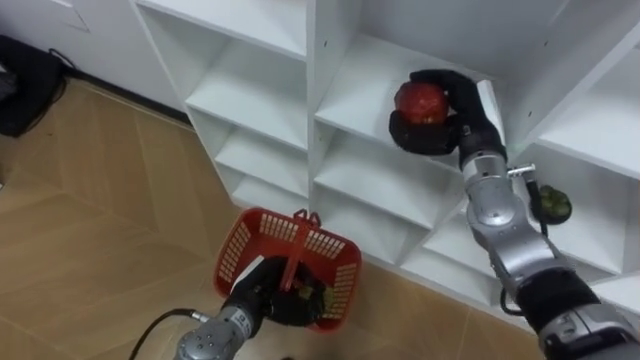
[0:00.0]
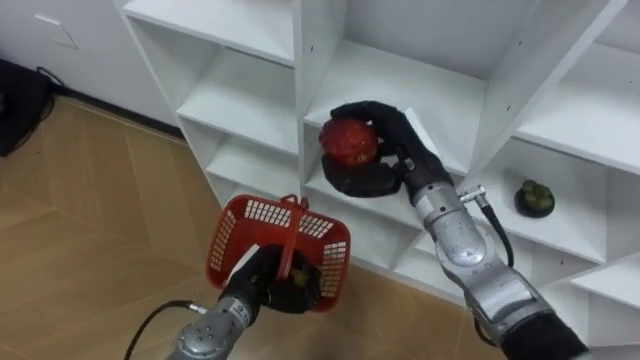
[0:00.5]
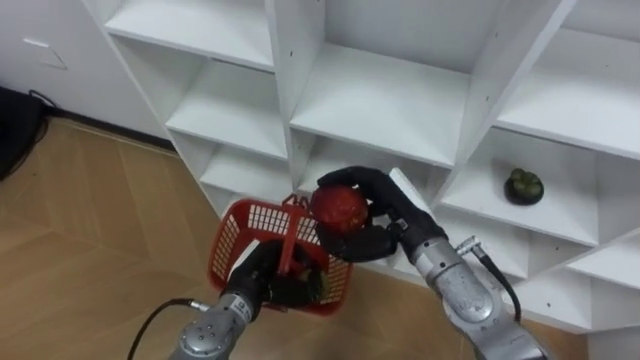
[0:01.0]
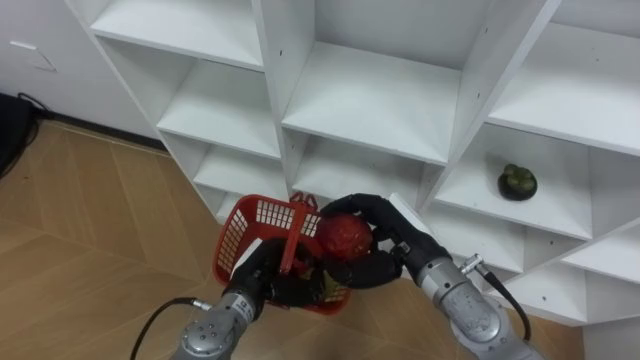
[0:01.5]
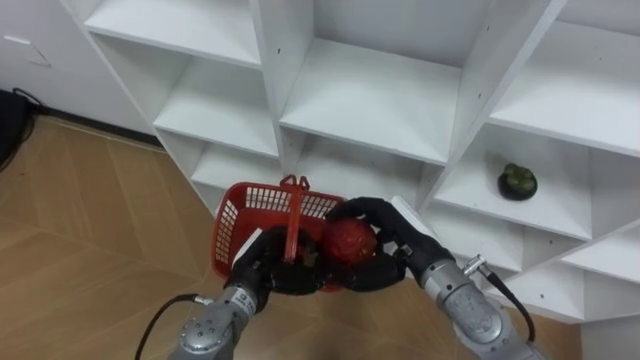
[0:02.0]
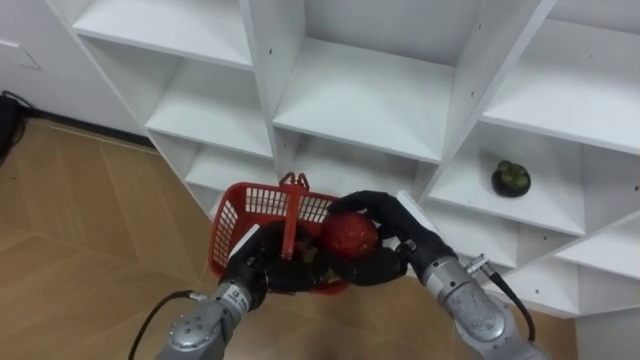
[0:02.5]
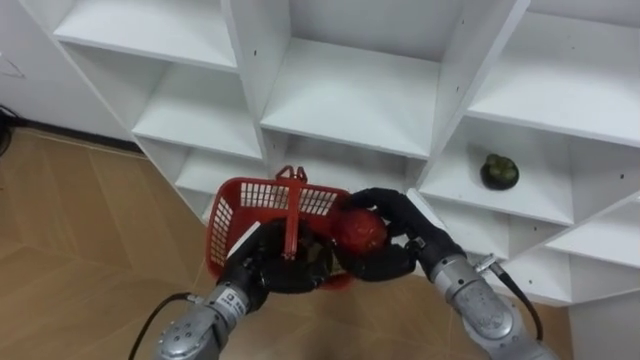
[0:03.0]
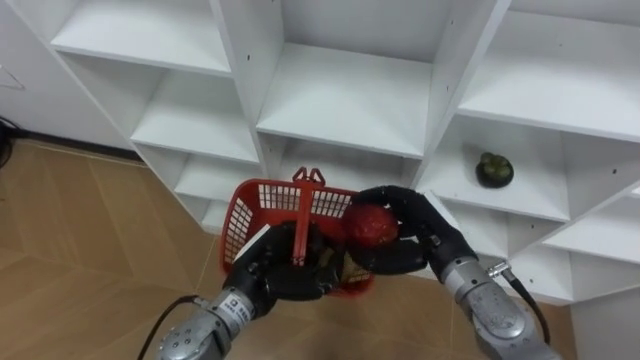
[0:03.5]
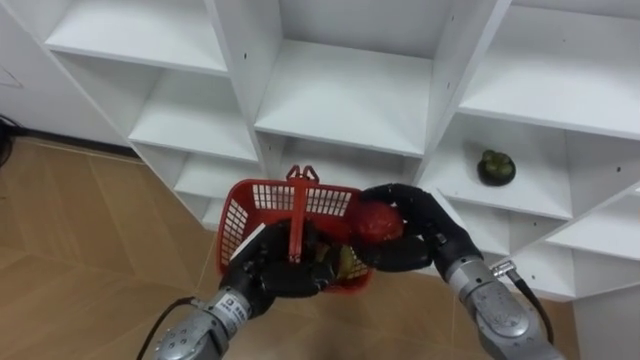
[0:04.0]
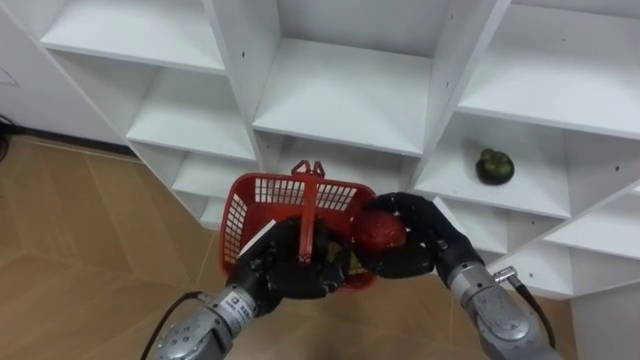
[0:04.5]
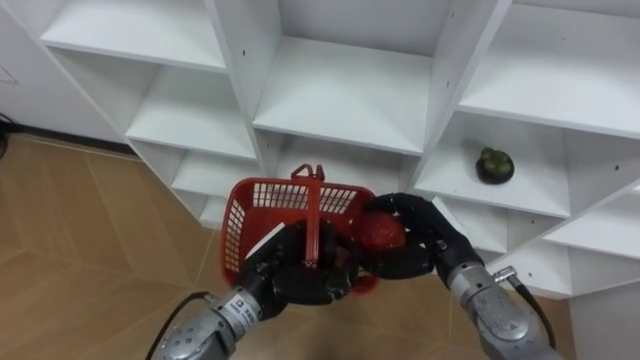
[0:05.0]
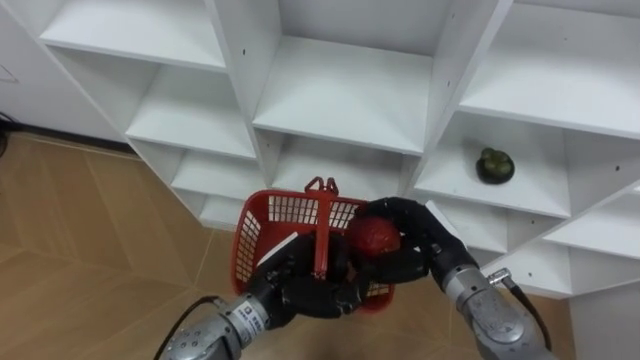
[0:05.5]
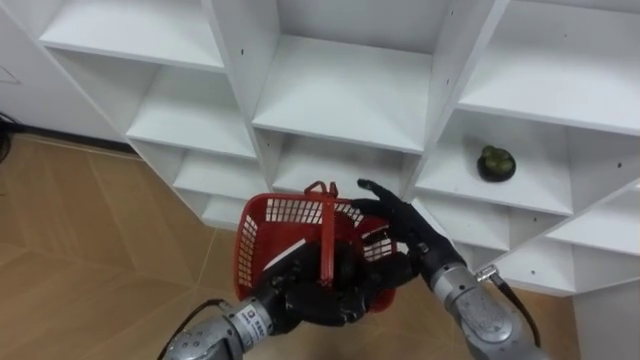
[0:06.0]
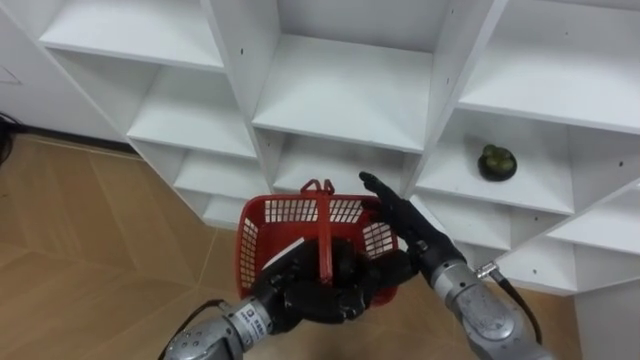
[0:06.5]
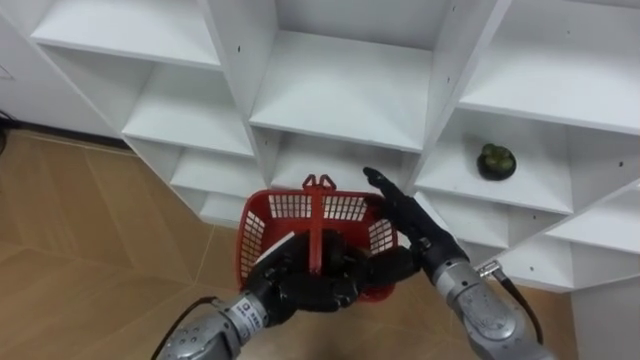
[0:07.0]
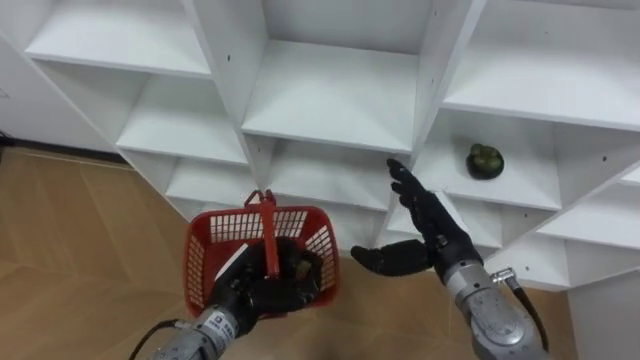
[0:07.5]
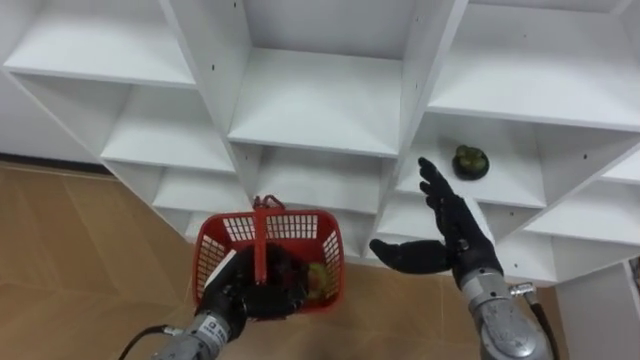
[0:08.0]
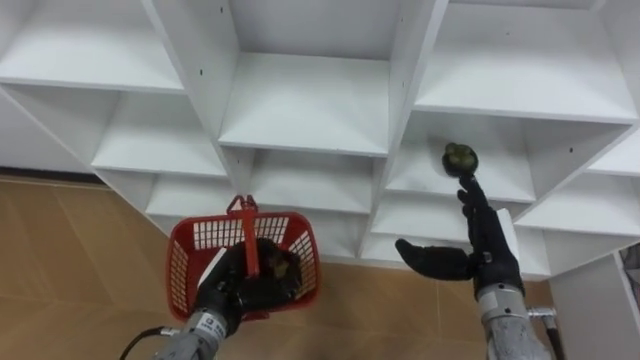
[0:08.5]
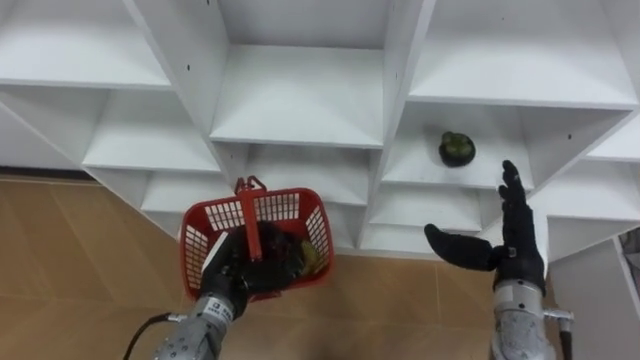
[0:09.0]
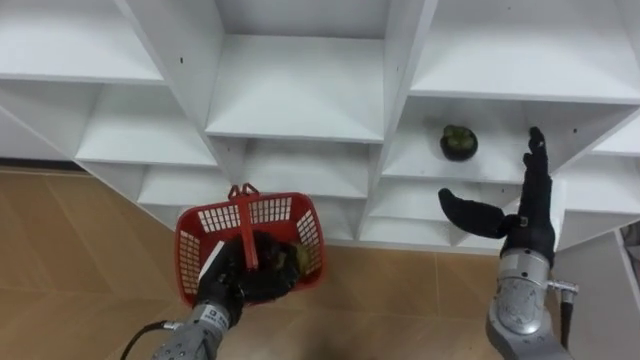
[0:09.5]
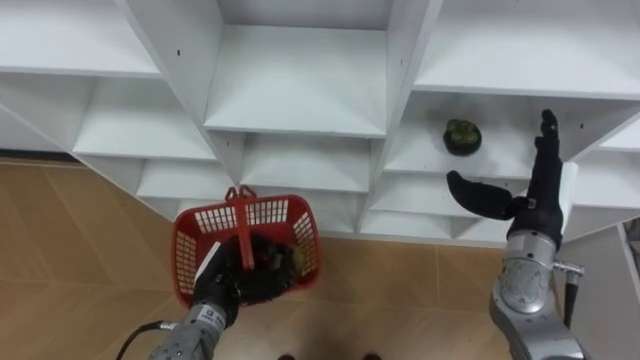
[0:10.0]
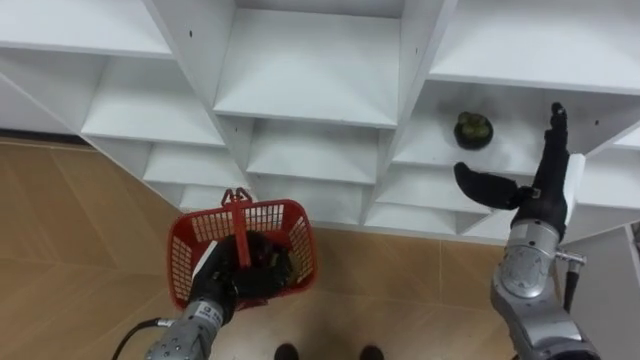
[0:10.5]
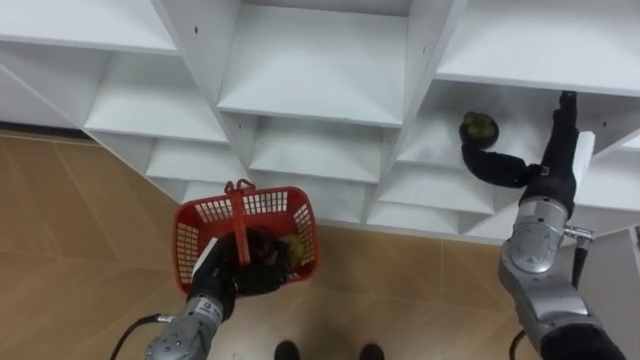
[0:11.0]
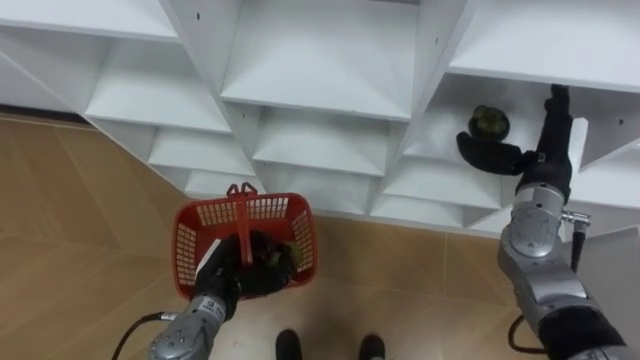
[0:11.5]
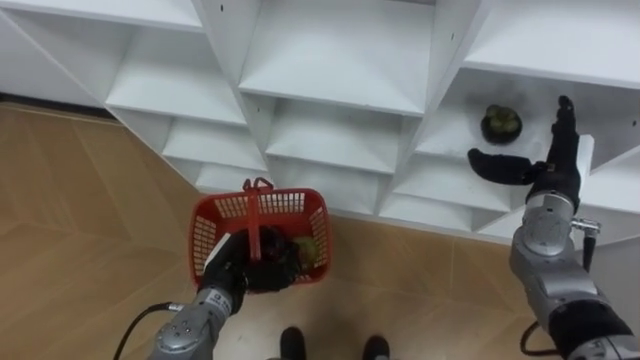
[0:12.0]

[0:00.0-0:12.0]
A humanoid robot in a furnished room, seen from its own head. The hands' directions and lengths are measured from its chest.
Task of the whole recording: Hold the basket and collect the fruits from 3 different cells of the closet into it.
0:00.0 to 0:02.0: The right hand is displaced backward, downward and to the left by some 15 cm.
0:04.0 to 0:06.0: The left hand ends up roughly 5 cm from where it was; the right hand opens up.
0:06.0 to 0:08.0: The left hand goes approximately 10 cm to the left.
0:08.0 to 0:10.0: The right hand heads to the right, covering about 10 cm.
0:10.0 to 0:12.0: The right hand shifts by roughly 5 cm.

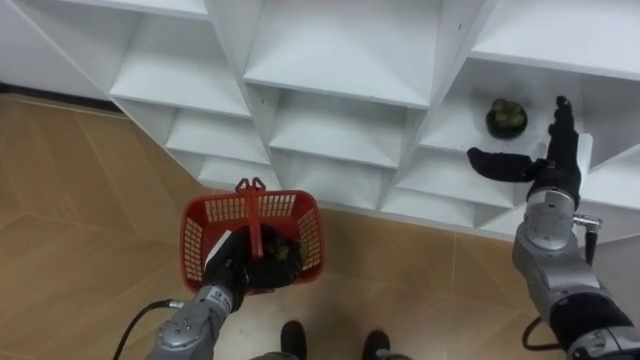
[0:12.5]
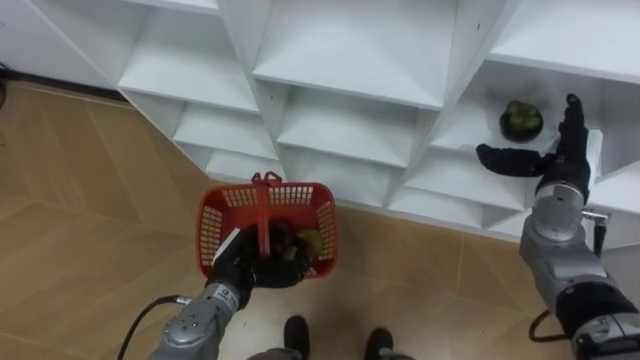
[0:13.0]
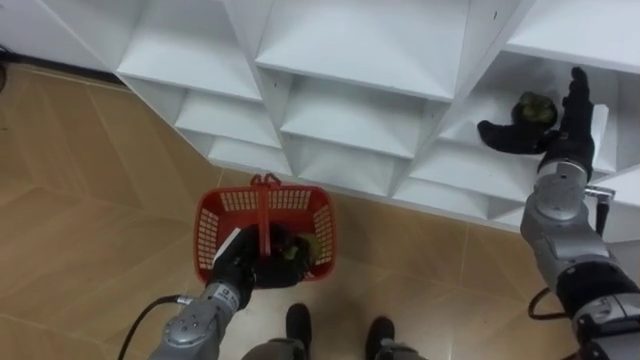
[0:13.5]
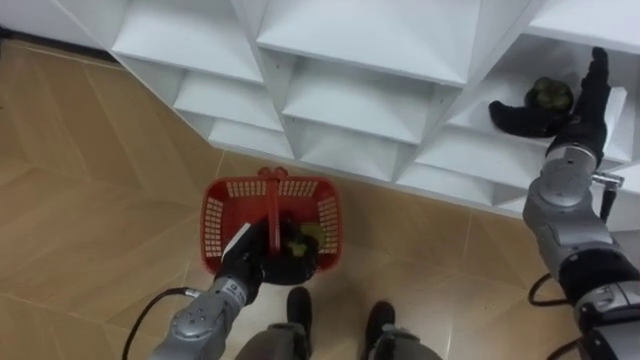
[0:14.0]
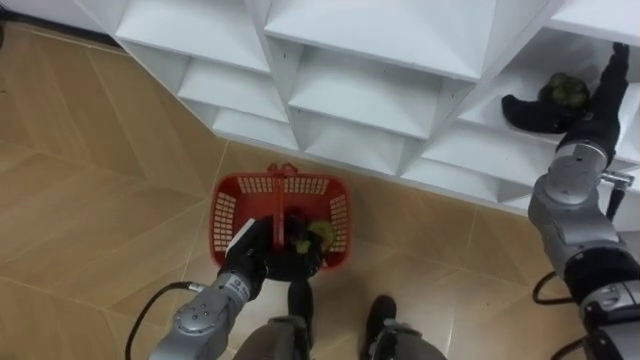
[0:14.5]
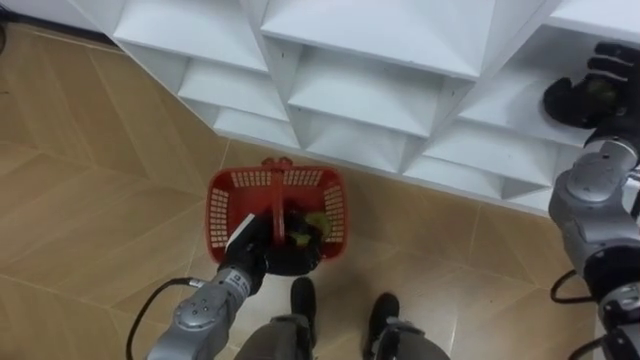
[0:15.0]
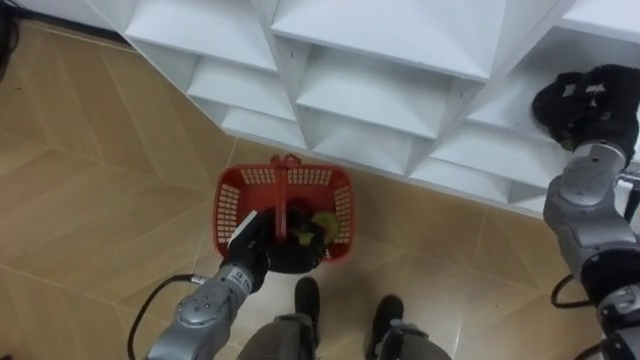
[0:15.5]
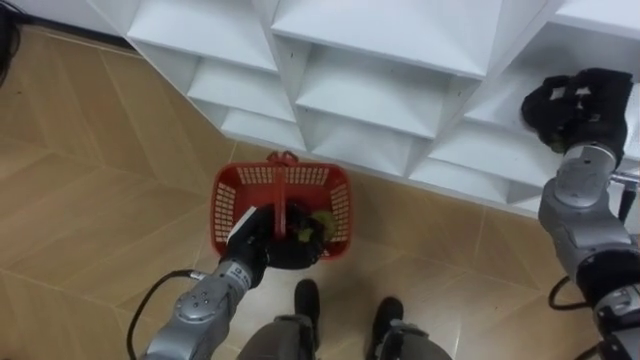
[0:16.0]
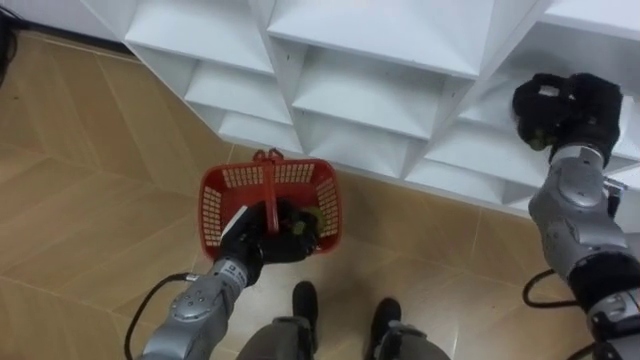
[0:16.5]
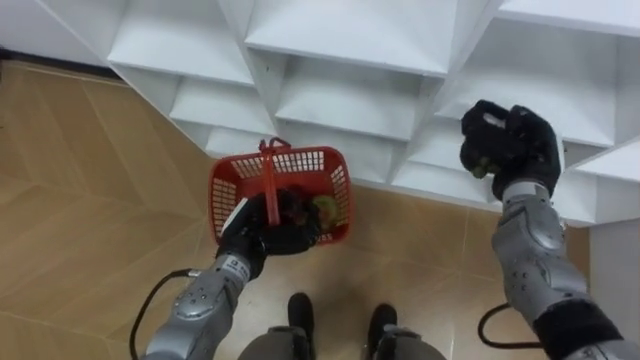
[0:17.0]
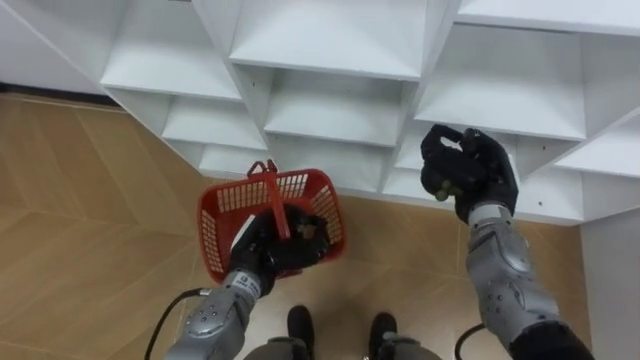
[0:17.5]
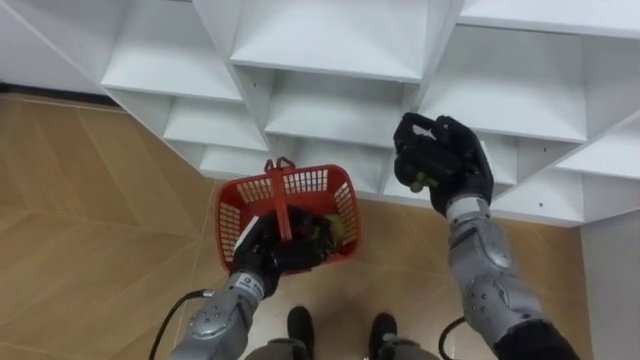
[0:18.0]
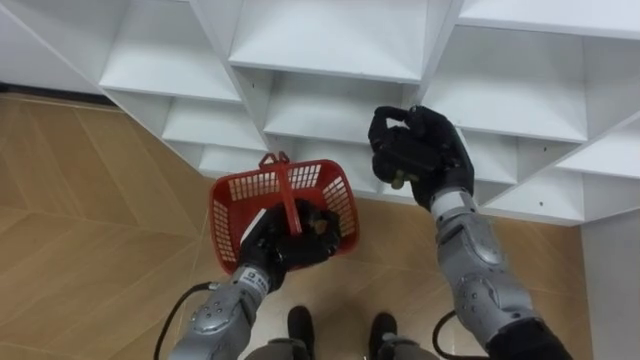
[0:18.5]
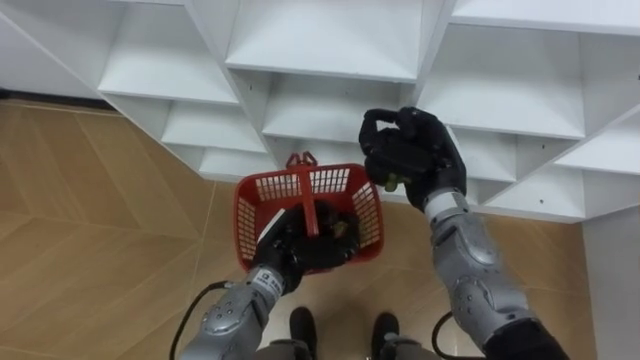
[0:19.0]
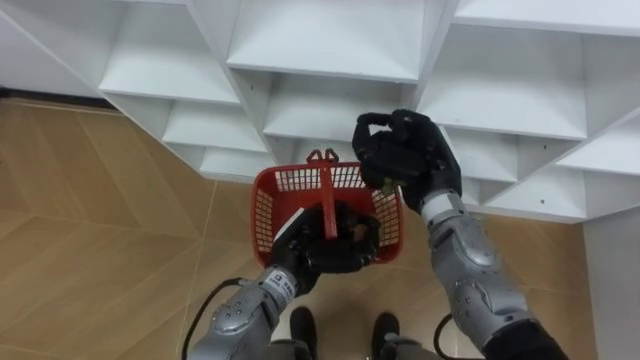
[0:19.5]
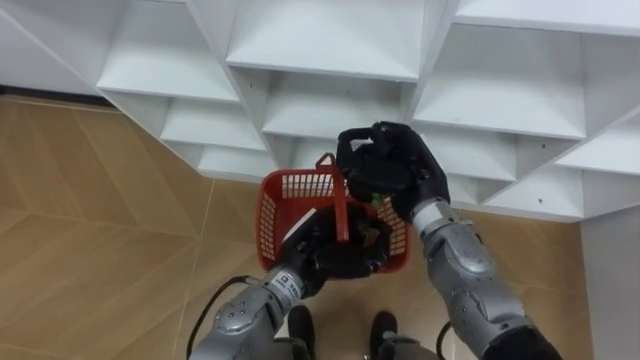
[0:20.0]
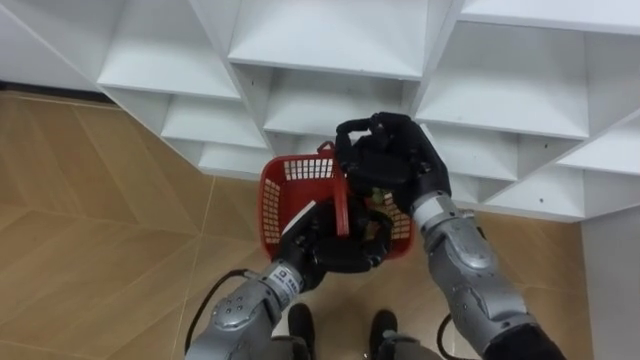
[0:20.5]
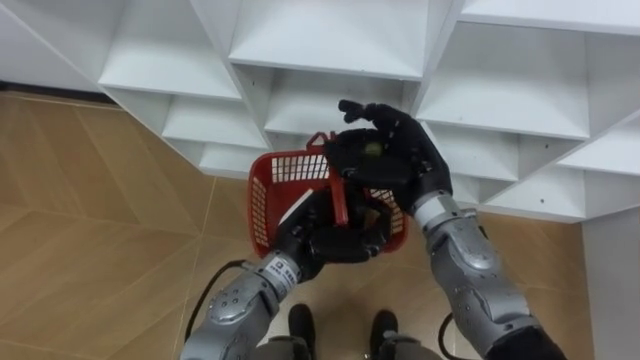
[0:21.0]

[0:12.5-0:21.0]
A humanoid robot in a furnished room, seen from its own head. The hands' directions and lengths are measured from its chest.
Task of the whole recording: Hold the basket and collect the fruits from 3 different cells of the closet into it.
0:12.5 to 0:14.5: The right hand shifts about 5 cm upward.
0:14.5 to 0:16.5: The right hand closes up.
0:16.5 to 0:19.0: The right hand goes roughly 20 cm to the left, while the left hand heads to the right, covering approximately 5 cm.
0:19.0 to 0:21.0: The left hand changes place by some 5 cm. The right hand opens.
